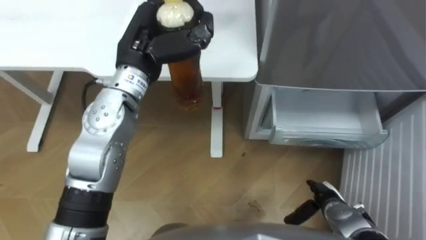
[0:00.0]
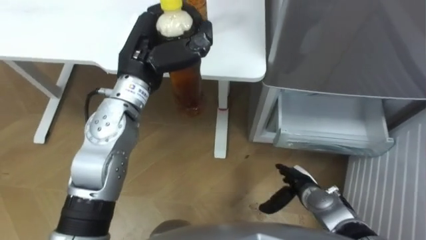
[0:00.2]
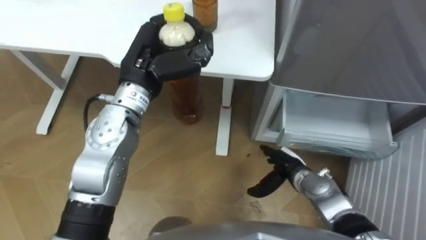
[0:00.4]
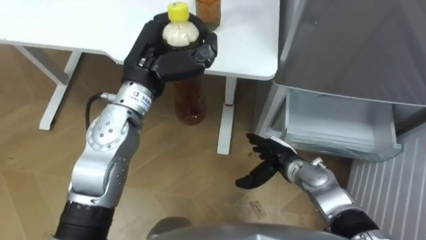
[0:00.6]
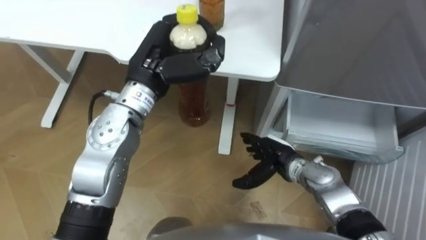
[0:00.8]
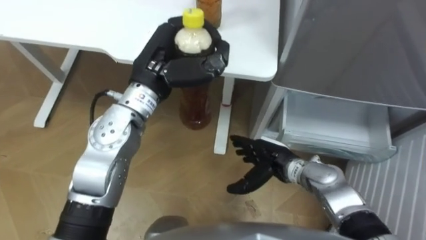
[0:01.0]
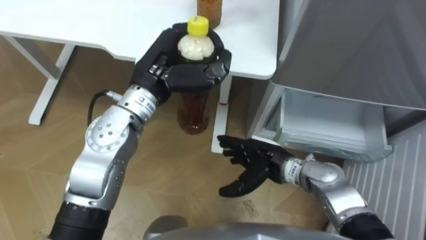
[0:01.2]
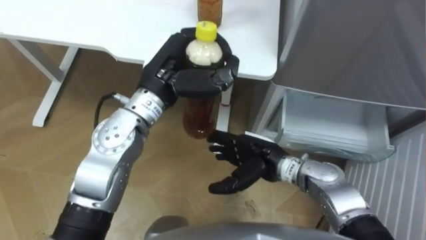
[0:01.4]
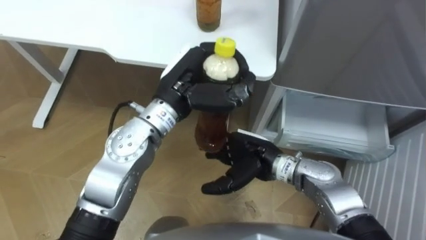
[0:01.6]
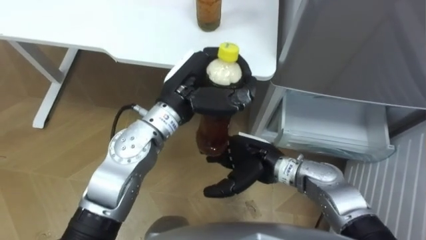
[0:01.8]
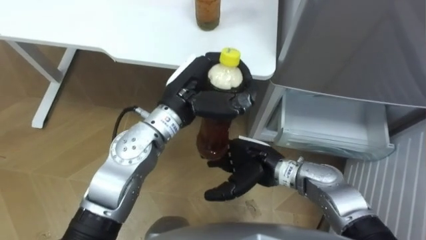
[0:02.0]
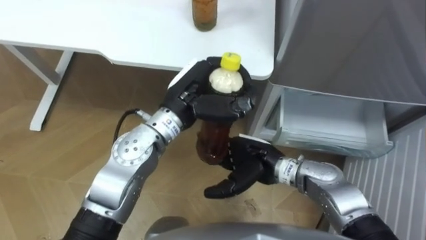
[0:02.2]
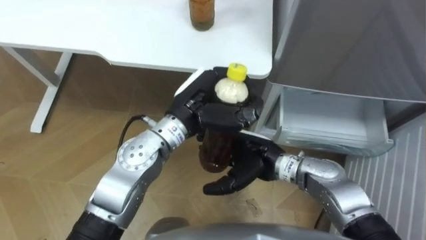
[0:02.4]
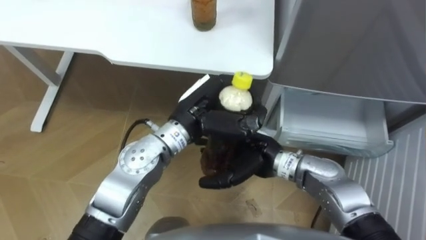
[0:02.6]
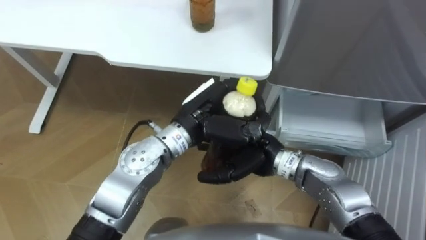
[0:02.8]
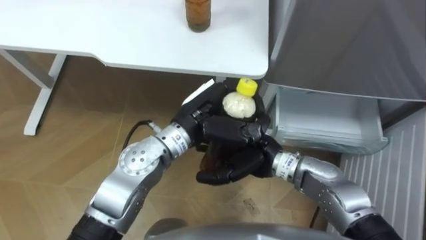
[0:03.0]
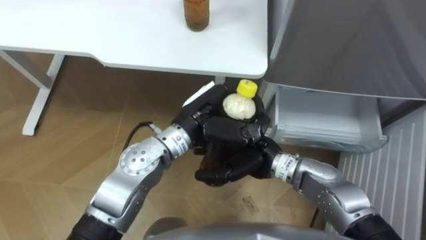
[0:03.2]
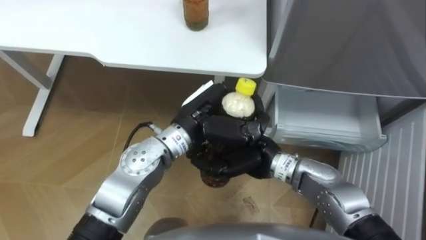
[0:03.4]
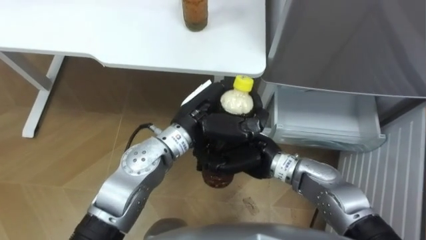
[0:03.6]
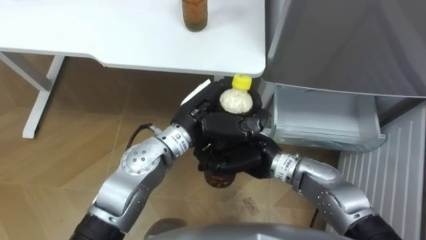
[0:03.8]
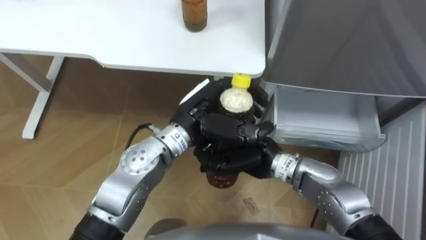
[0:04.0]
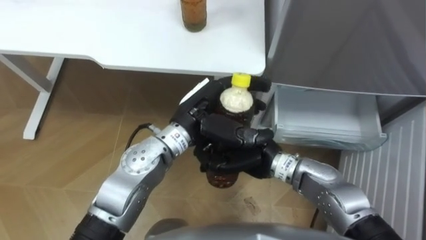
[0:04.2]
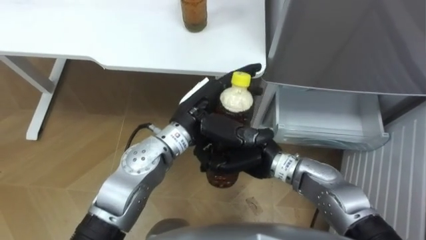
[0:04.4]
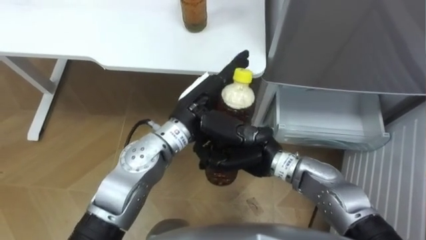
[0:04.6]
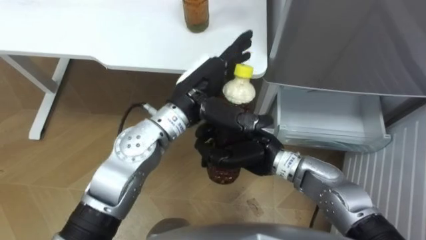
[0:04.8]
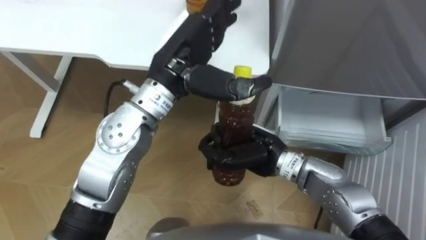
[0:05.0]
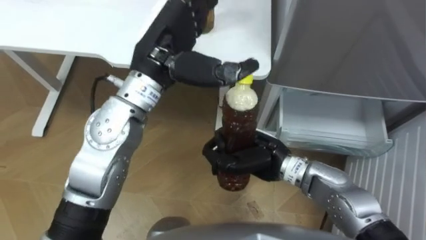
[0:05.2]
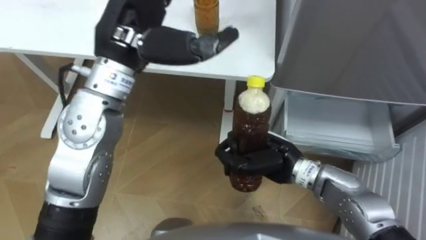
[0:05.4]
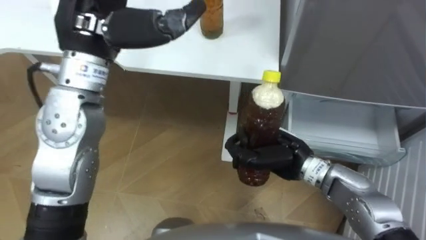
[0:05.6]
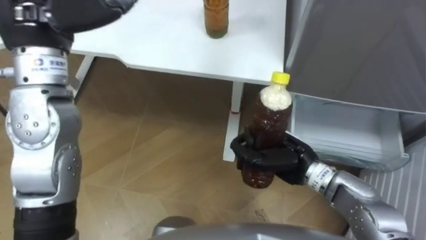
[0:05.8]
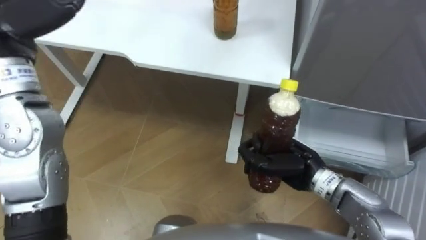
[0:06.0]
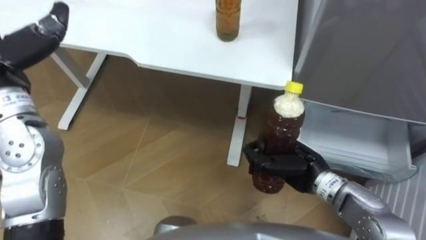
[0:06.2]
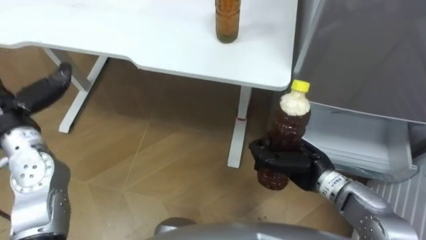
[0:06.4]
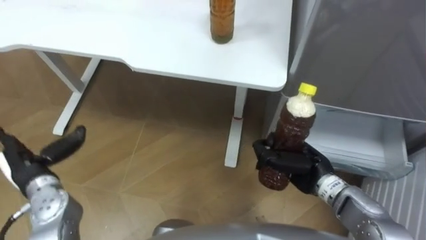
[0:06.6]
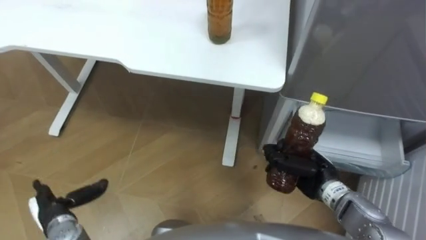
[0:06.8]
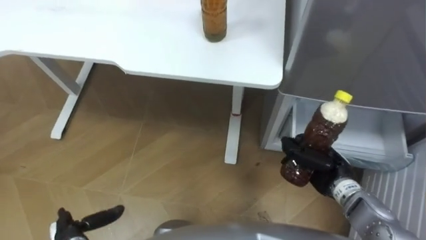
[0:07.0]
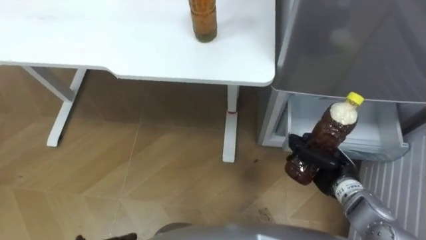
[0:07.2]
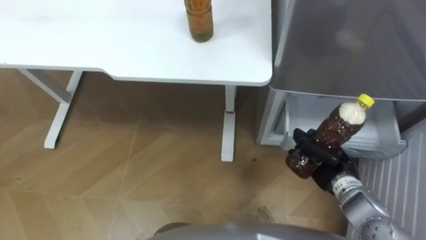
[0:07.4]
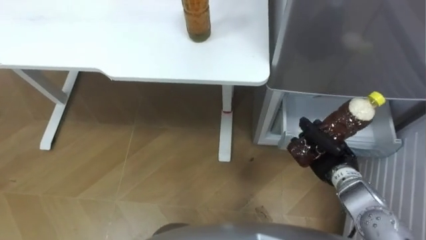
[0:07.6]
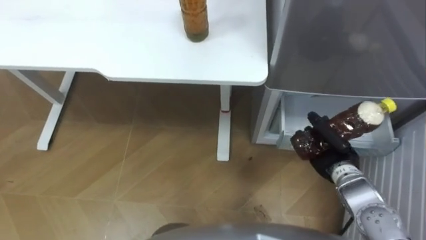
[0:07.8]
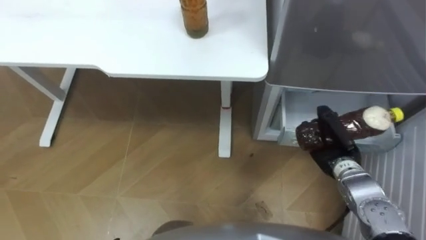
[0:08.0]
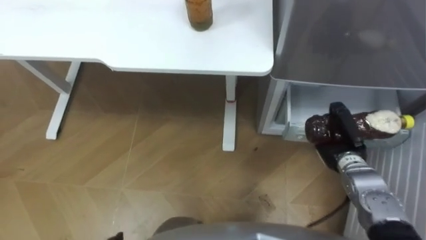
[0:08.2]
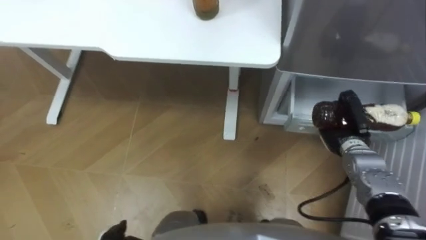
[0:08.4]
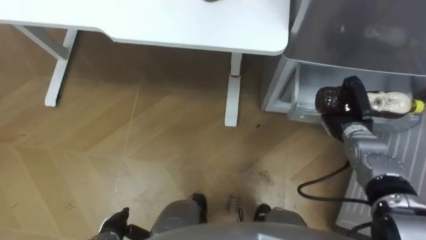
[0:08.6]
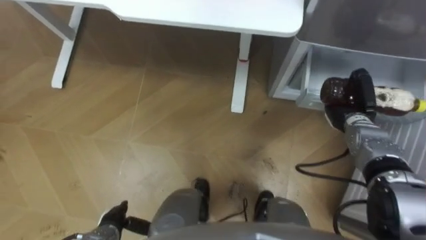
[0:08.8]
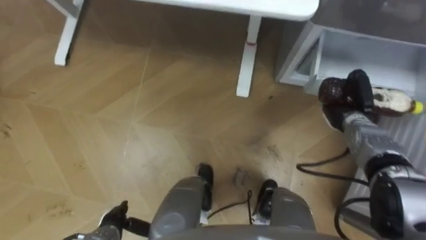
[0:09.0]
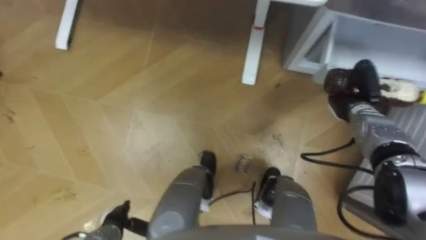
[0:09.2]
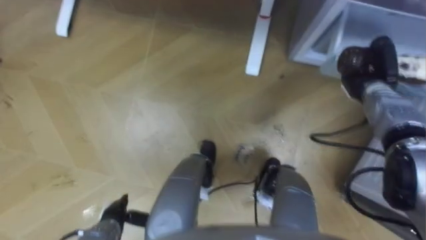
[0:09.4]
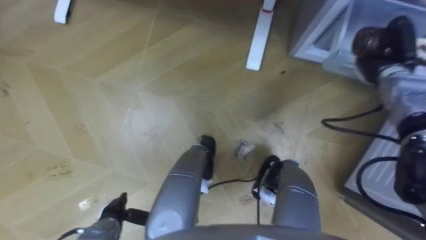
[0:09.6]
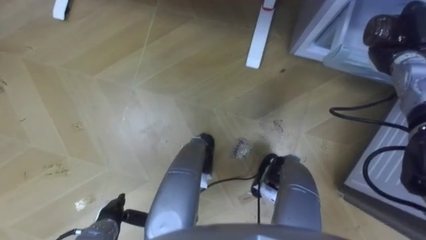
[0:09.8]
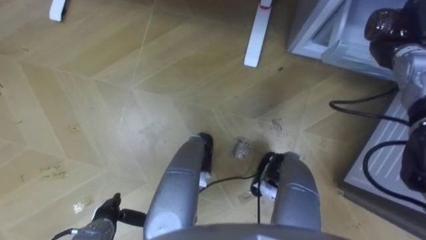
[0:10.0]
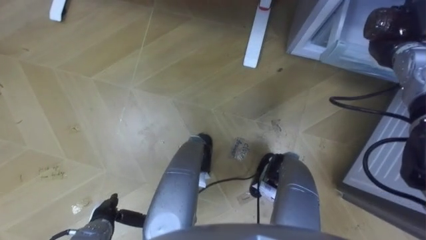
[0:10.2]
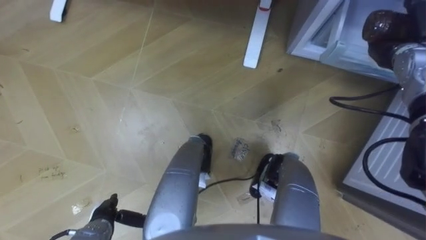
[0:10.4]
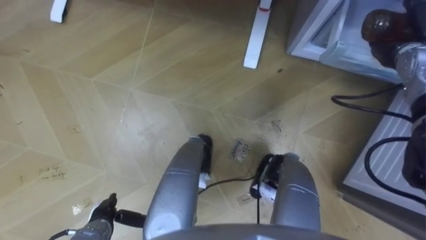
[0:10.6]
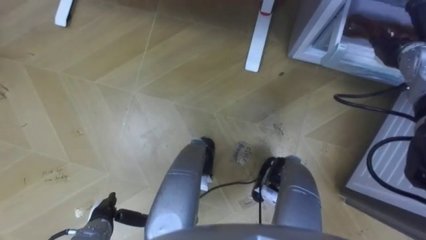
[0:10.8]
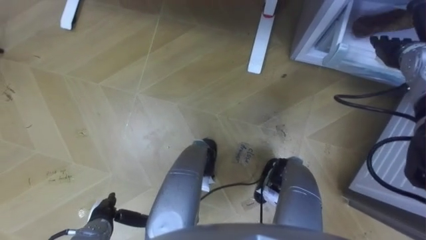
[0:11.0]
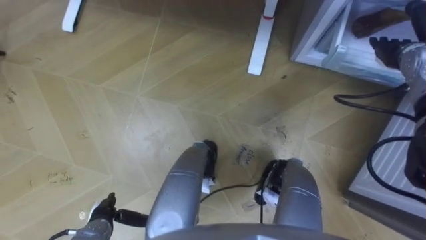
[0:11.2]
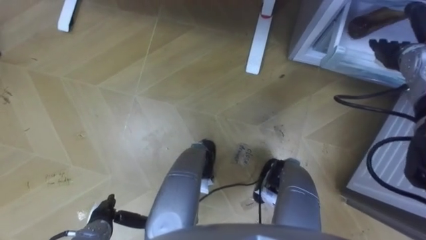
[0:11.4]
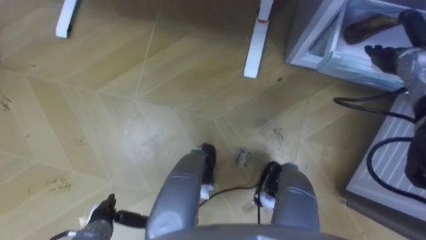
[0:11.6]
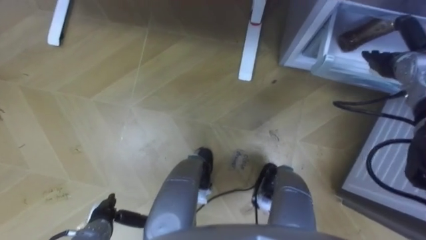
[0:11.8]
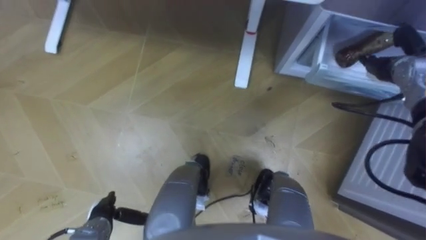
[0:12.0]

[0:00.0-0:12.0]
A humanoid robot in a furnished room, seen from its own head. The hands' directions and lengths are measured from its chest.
Task of the whole recording: Place the drink on the table on the bottom shelf of the refrigerator, then close the drawer and the refrigerator door.
0:00.0 to 0:01.6: The left hand is displaced to the right by approximately 5 cm, while the right hand is displaced to the left, upward and forward by about 25 cm.
0:01.6 to 0:03.0: The left hand changes place by some 5 cm.
0:03.0 to 0:04.4: The left hand opens up. Meanwhile the right hand closes its fingers.
0:04.4 to 0:06.0: The right hand shifts some 10 cm to the right.
0:06.0 to 0:07.6: The right hand is displaced to the right by roughly 10 cm.
0:07.6 to 0:09.0: The right hand shifts approximately 10 cm forward.
0:09.0 to 0:10.4: The right hand goes about 15 cm upward, forward and to the right, and opens.

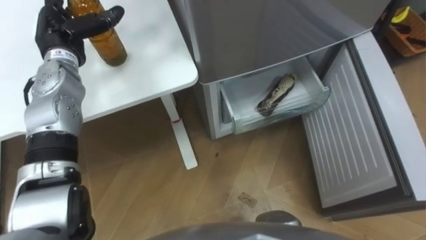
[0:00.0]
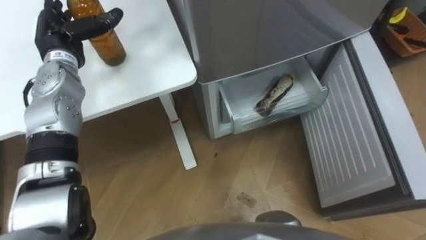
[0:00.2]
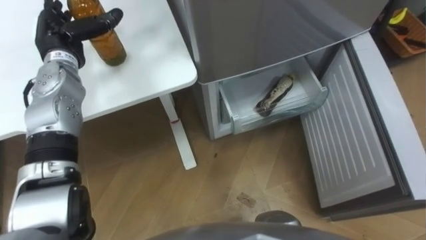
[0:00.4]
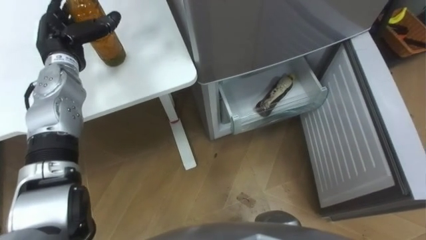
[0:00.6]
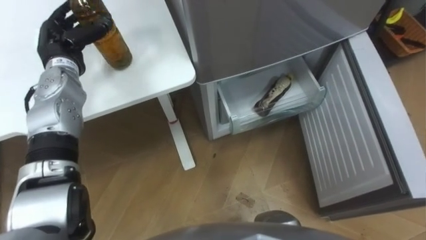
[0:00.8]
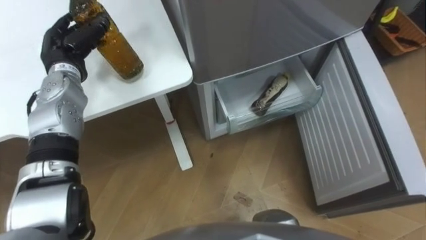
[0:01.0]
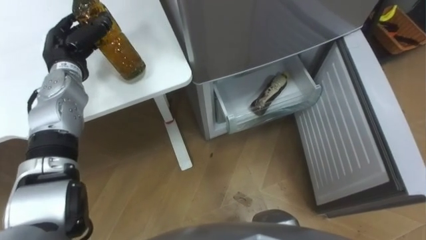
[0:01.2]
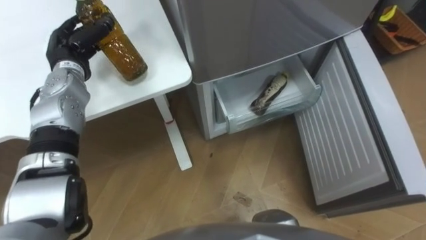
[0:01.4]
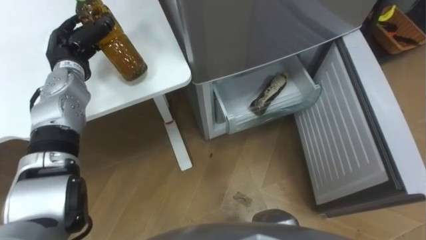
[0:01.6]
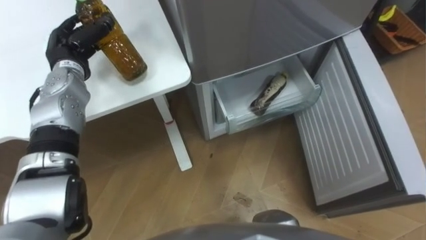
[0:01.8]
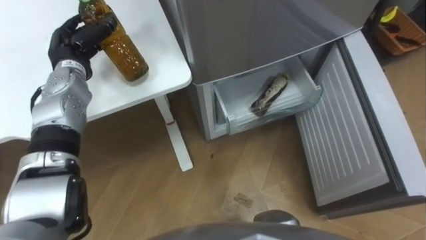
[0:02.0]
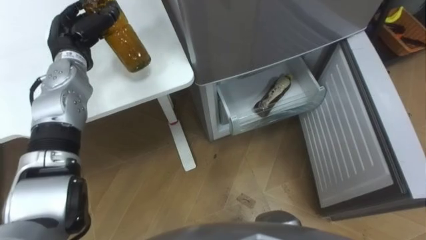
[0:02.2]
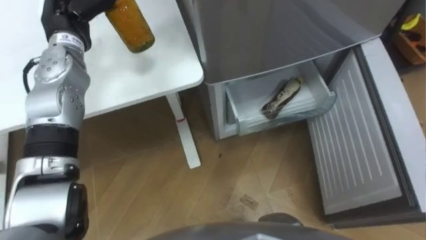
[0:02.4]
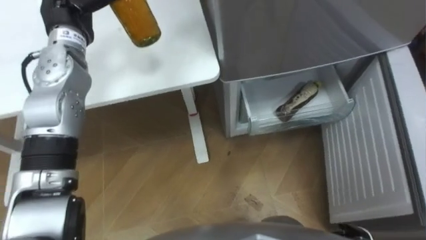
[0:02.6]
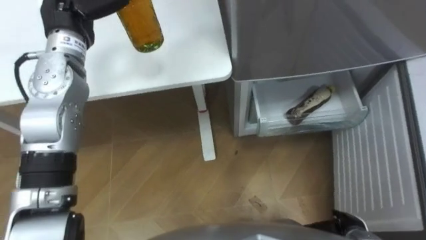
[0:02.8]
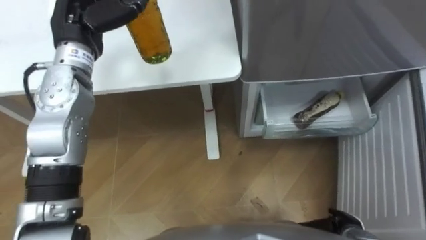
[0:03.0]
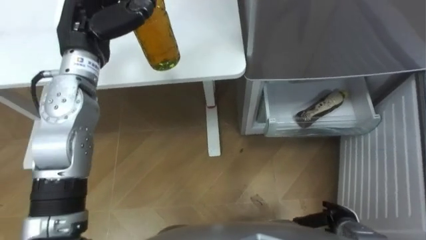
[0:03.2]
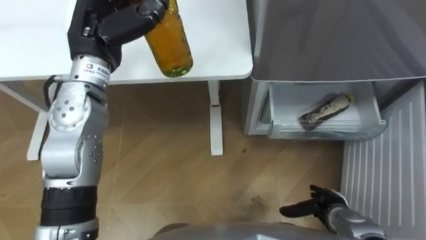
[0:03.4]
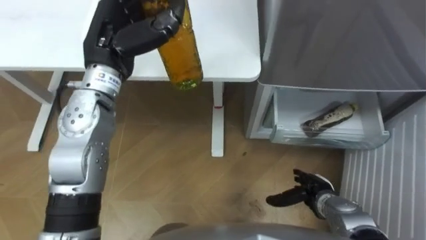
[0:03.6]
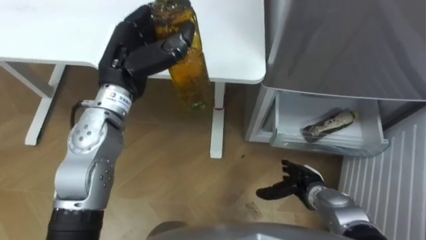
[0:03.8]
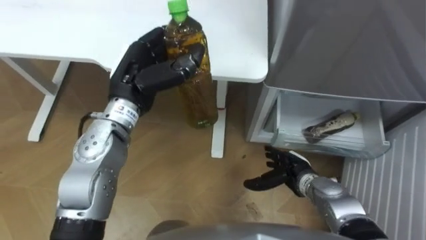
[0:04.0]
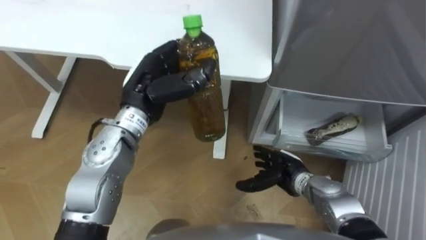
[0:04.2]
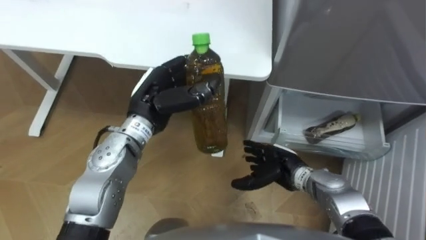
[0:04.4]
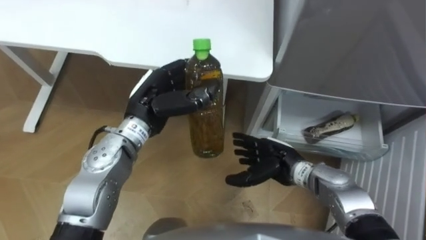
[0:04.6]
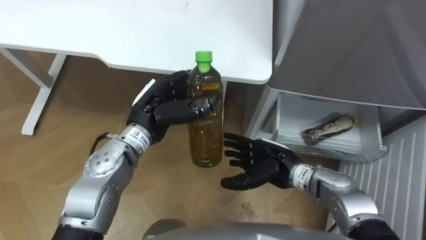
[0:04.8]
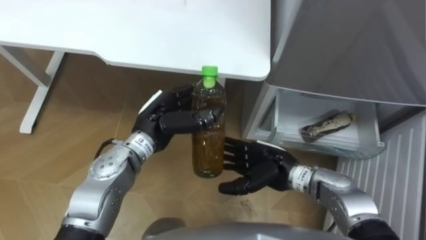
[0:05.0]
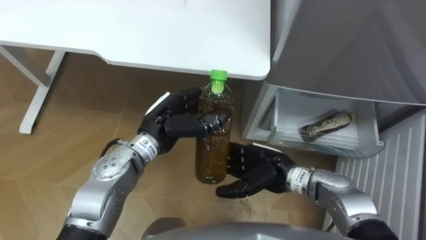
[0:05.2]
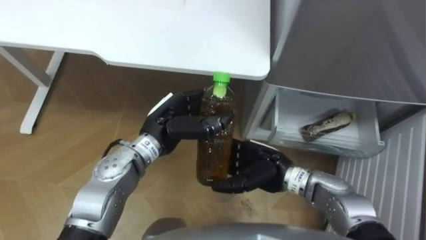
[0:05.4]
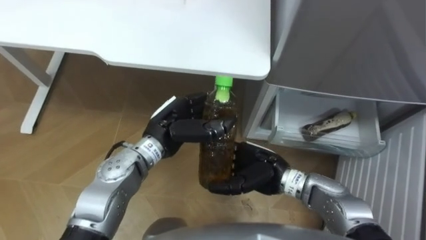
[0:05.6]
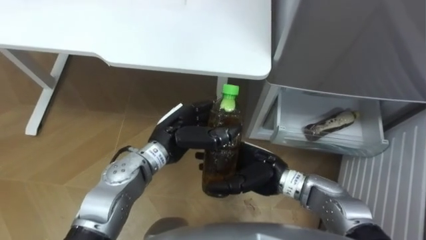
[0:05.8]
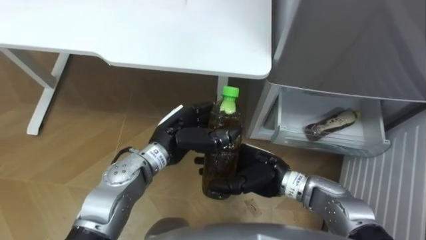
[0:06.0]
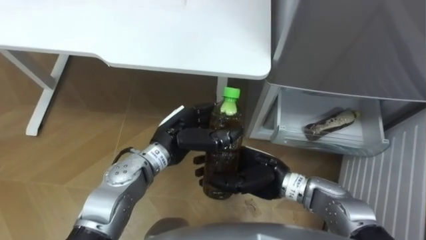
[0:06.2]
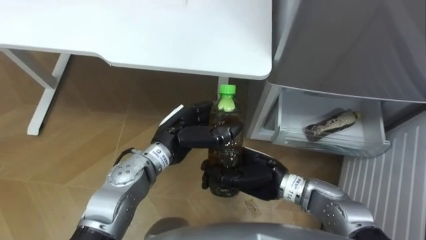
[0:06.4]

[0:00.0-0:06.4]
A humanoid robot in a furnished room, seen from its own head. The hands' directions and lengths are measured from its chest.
Task of the whole recording: Place the drink on the table on the bottom shelf of the refrigerator, then close the drawer and the refrigerator door.
0:00.0 to 0:01.6: The left hand closes up.
0:01.6 to 0:03.2: The left hand is displaced upward and to the right by about 15 cm.
0:03.2 to 0:04.8: The left hand heads downward, to the right and backward, covering some 15 cm; the right hand shifts some 20 cm to the left, forward and upward.
0:04.8 to 0:06.4: The right hand shifts by some 5 cm, and closes its fingers. The left hand ends up roughly 5 cm from where it was.
